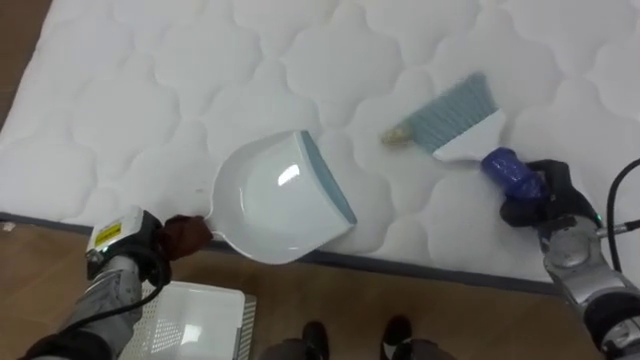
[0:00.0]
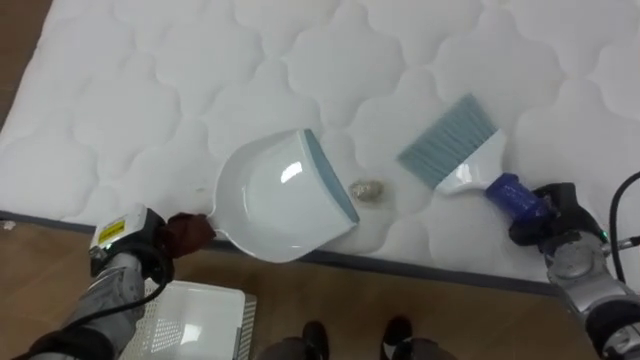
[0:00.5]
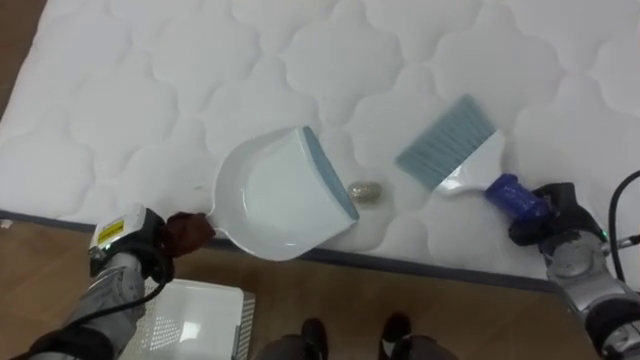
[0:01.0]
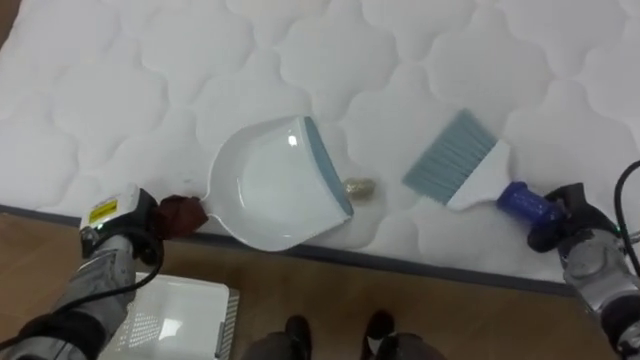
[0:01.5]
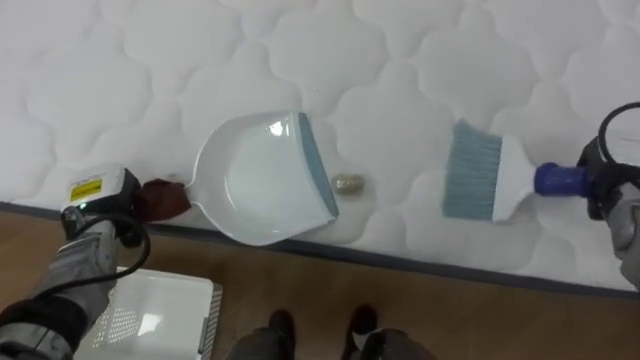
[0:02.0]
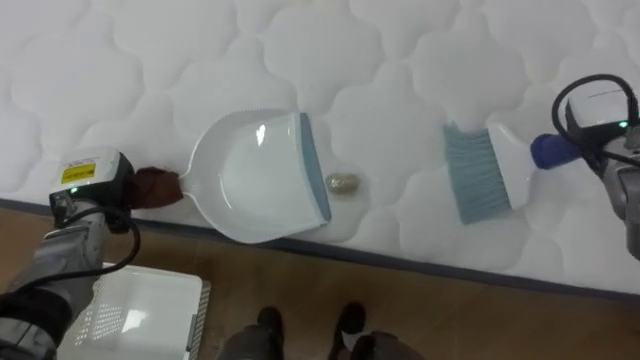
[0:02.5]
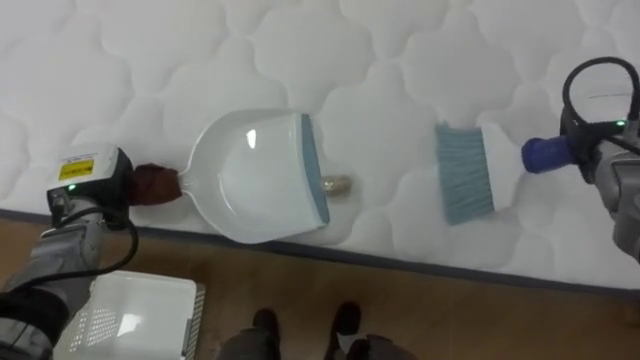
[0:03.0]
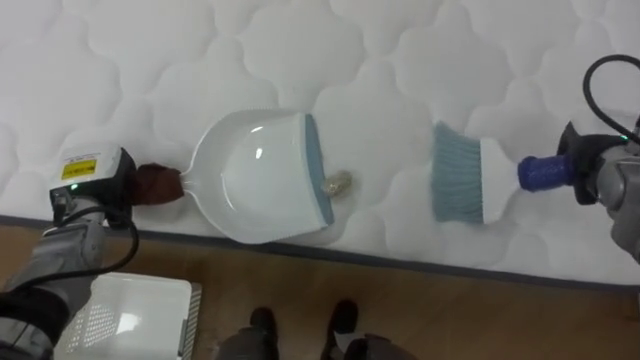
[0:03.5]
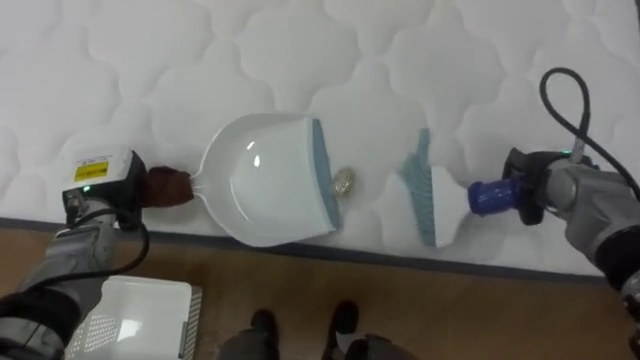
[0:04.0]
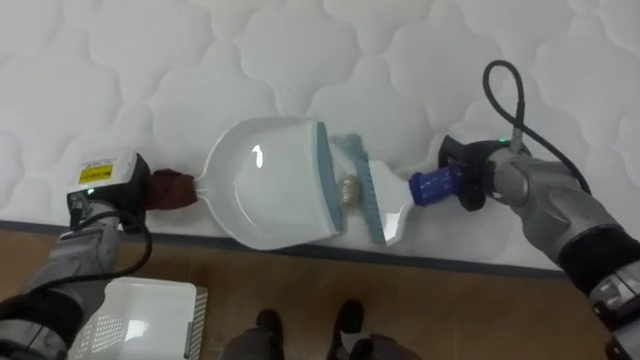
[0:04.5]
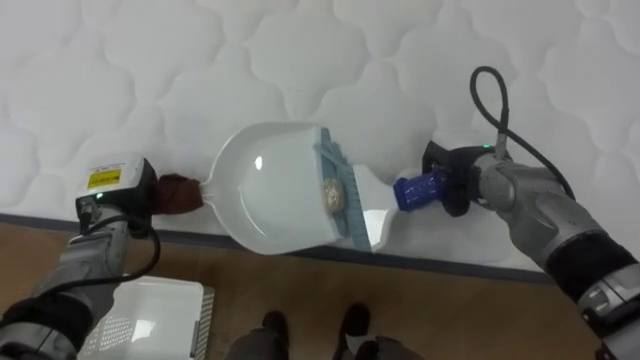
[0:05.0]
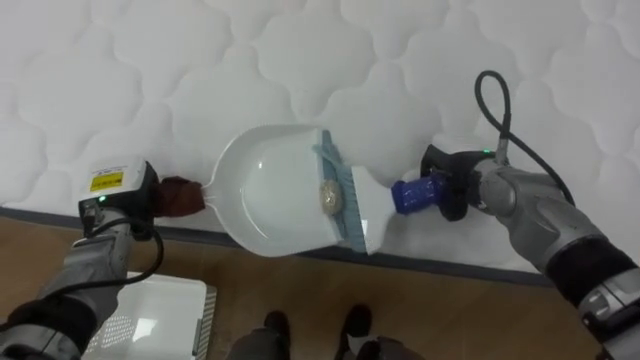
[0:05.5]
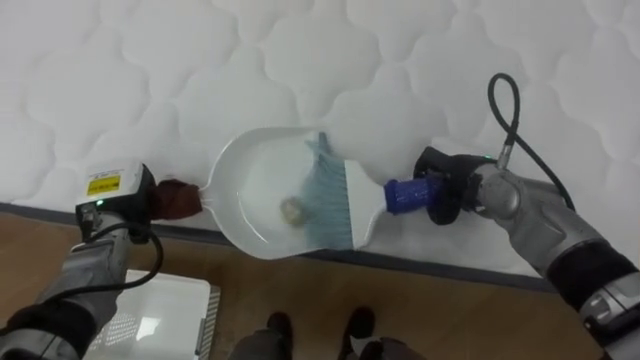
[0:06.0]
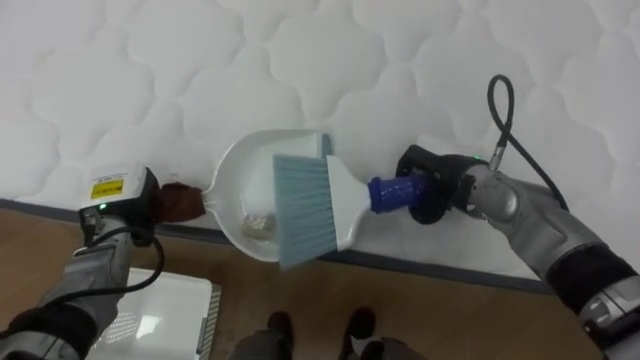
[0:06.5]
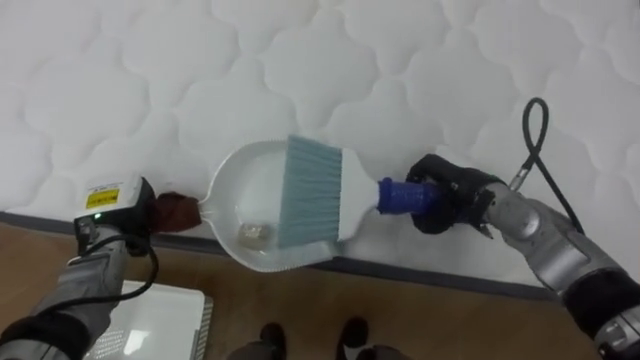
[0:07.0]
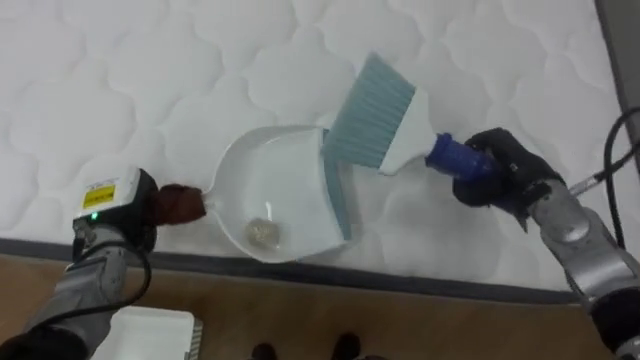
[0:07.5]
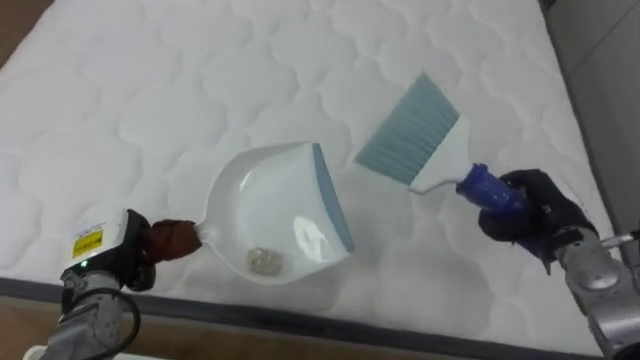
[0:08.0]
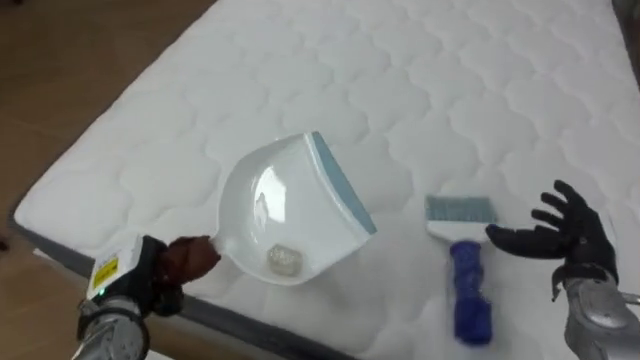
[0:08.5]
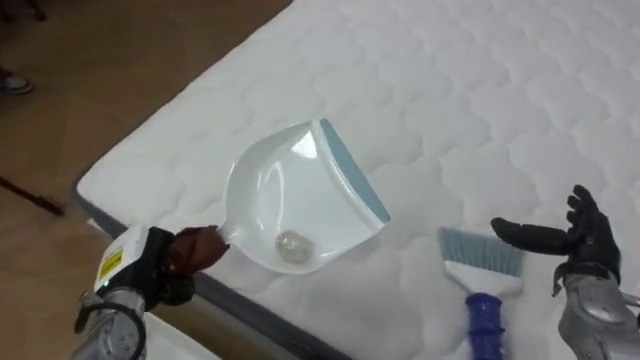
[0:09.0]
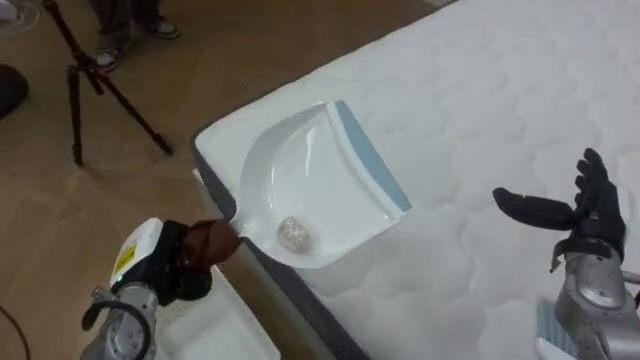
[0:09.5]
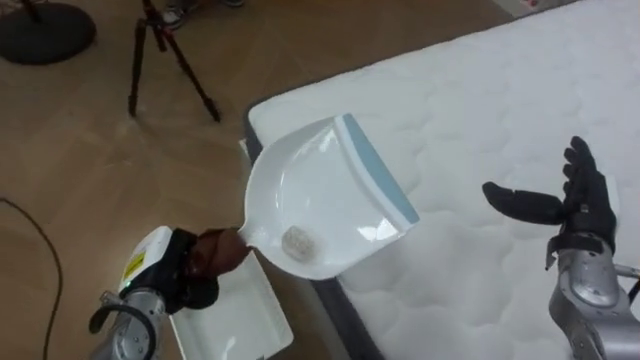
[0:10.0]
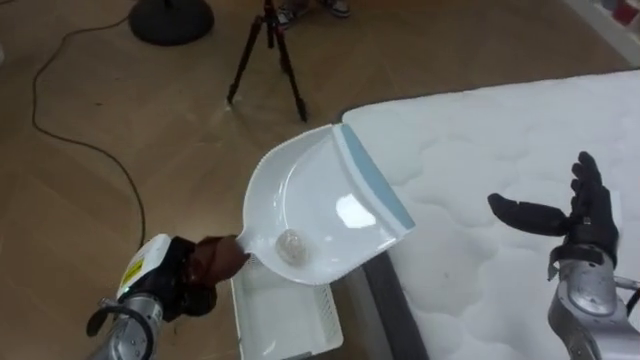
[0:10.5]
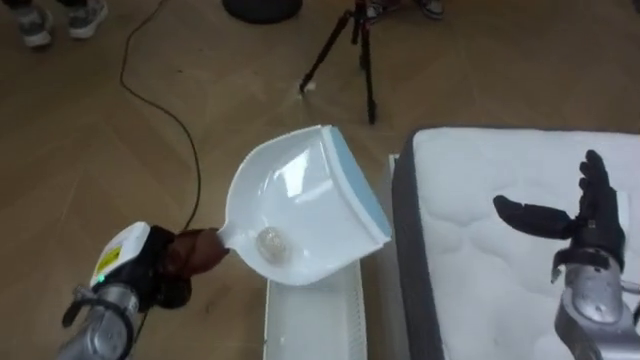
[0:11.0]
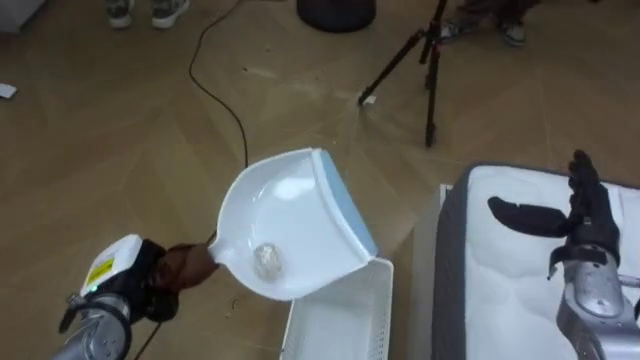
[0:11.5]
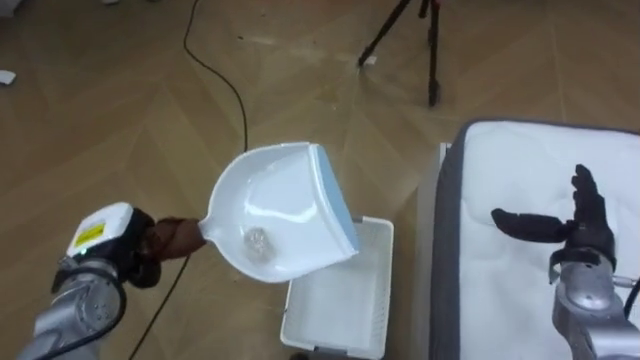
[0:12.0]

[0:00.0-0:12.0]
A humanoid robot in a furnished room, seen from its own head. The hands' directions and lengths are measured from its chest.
Task of the whole recording: Pick up the brush on your right and the dustpan on your left. Use the brush to sweep the crumpled paper on the bed into the dustpan, then turn left and empty it into the basket.
0:00.0 to 0:02.0: The right hand heads to the right and upward, covering approximately 10 cm; the left hand goes approximately 5 cm upward.
0:02.0 to 0:04.0: The right hand is displaced to the left by approximately 10 cm.
0:04.0 to 0:06.0: The right hand heads to the left, covering some 10 cm.
0:06.0 to 0:08.0: The left hand travels backward by roughly 5 cm; the right hand heads to the right and backward, covering roughly 15 cm.
0:08.0 to 0:10.0: The robot faces about 55 degrees further to its left. The right hand opens; the left hand travels to the right by roughly 5 cm.
0:10.0 to 0:12.0: The robot's body swings some 40 degrees to its left. The left hand heads to the left, covering about 5 cm.

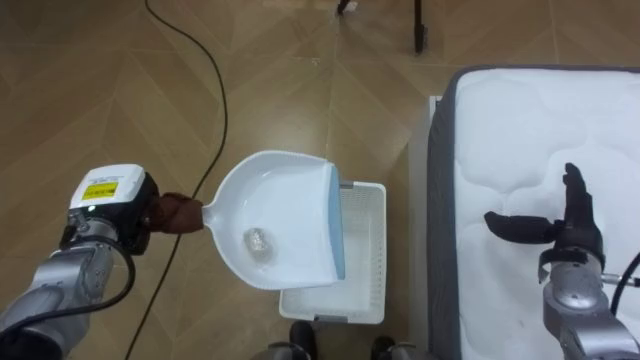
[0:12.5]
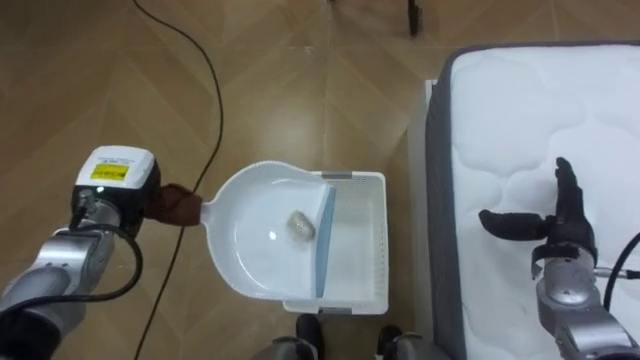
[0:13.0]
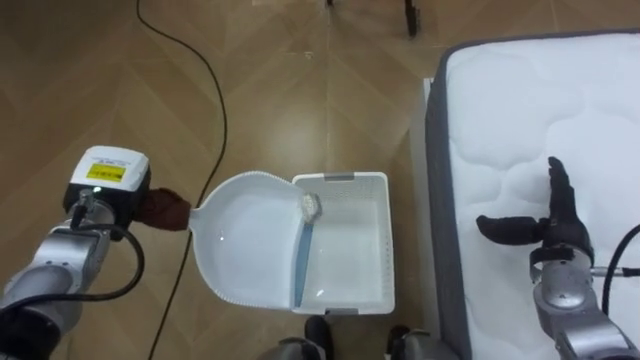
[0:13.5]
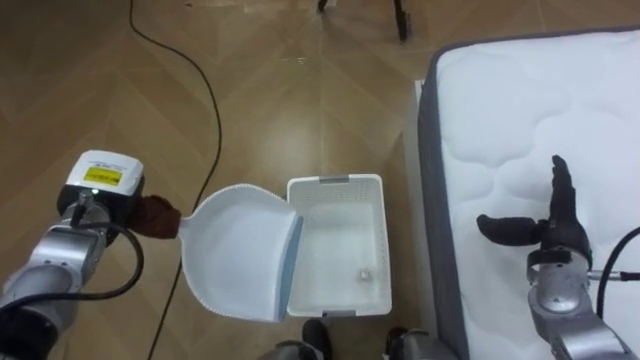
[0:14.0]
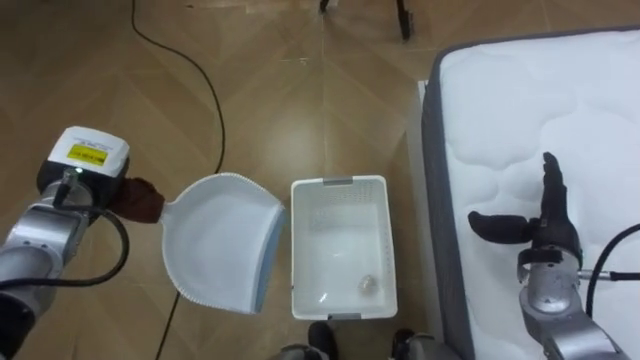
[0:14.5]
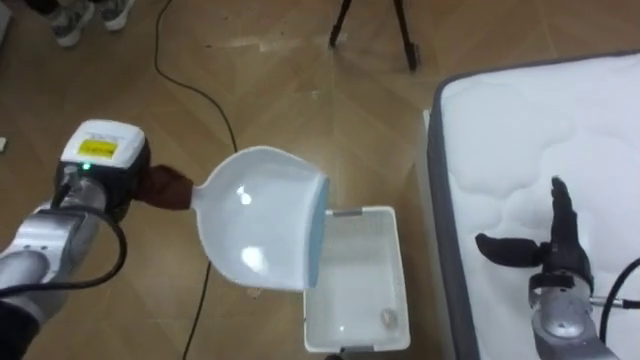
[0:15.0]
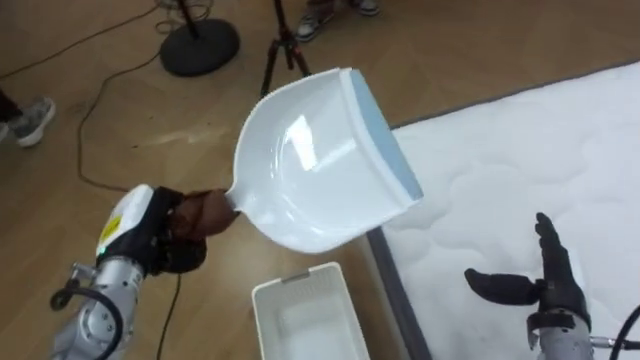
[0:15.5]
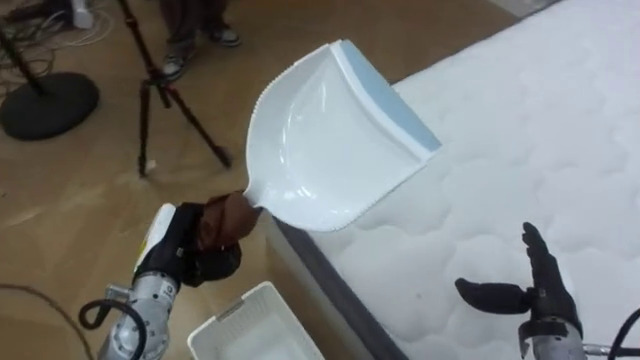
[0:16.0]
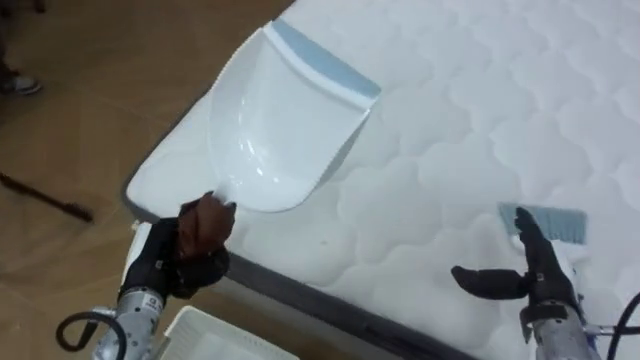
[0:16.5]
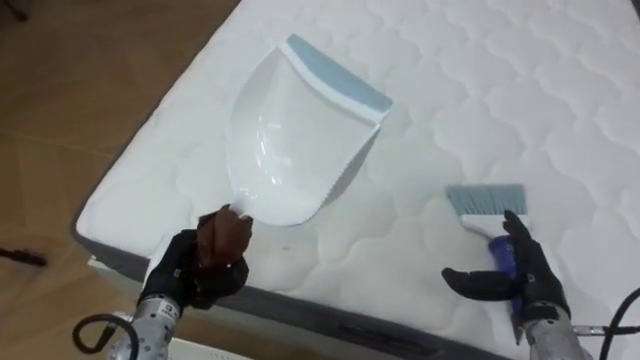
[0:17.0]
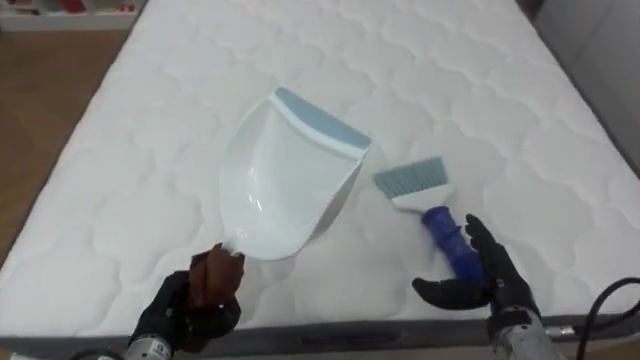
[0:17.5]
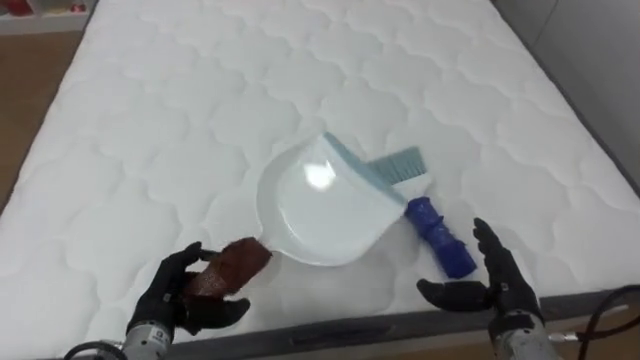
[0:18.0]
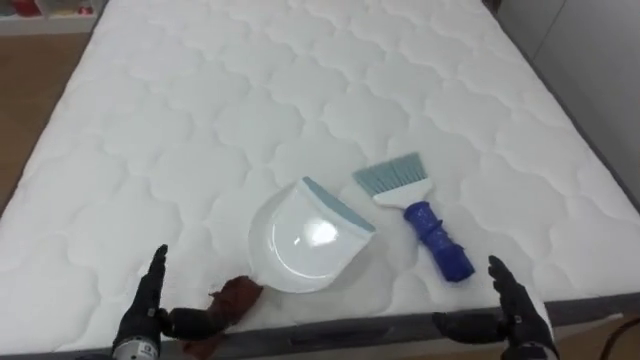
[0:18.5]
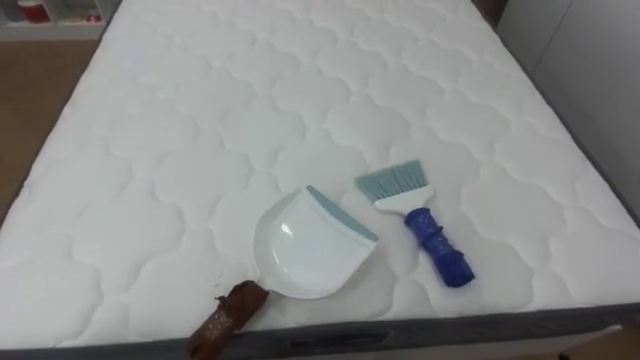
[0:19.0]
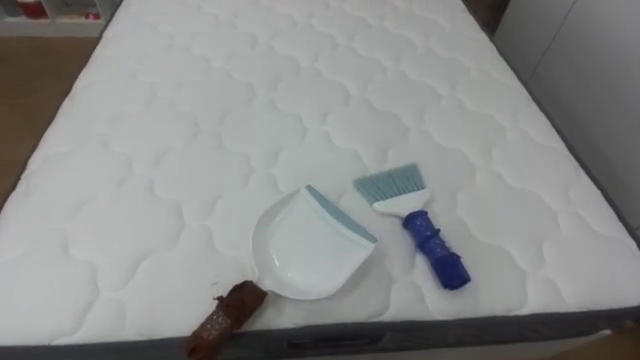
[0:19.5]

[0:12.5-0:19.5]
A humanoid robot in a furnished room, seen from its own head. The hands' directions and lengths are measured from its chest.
Task of the whole recording: Pick up the brush on your right and the dustpan on your left. Use the brush to sweep the crumpled paper on the bed into the dustpan, then turn left and empty it into the basket.
0:12.5 to 0:14.5: The left hand changes place by roughly 5 cm.
0:14.5 to 0:16.0: The robot's body swings about 40 degrees to its right. The left hand moves to the right, backward and downward, some 15 cm. Meanwhile the right hand goes roughly 10 cm backward.
0:16.0 to 0:17.5: The robot faces approximately 60 degrees further to its right. The right hand goes about 5 cm to the left. Meanwhile the left hand travels backward and downward by approximately 10 cm.
